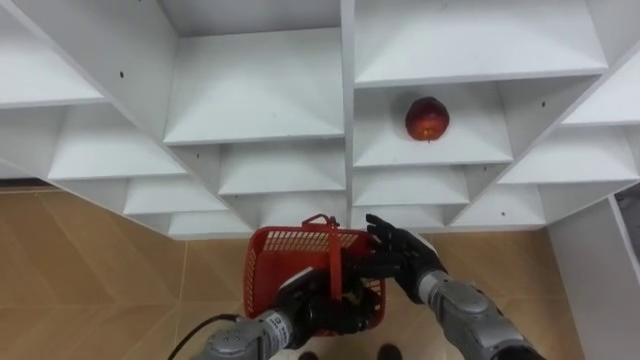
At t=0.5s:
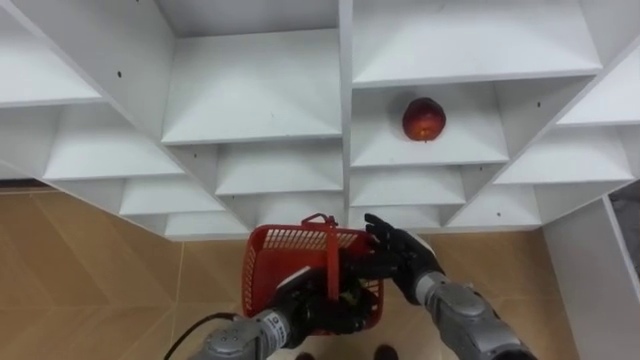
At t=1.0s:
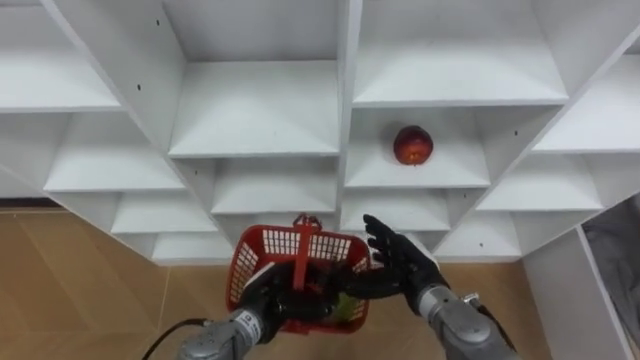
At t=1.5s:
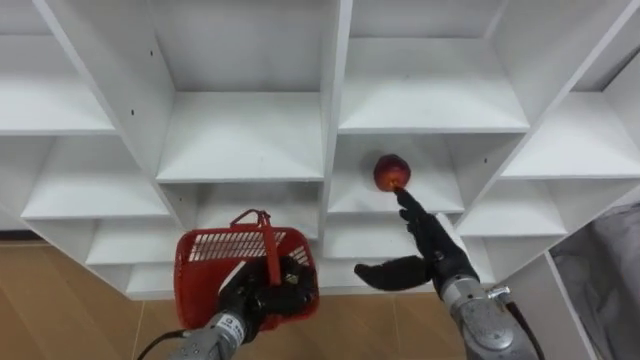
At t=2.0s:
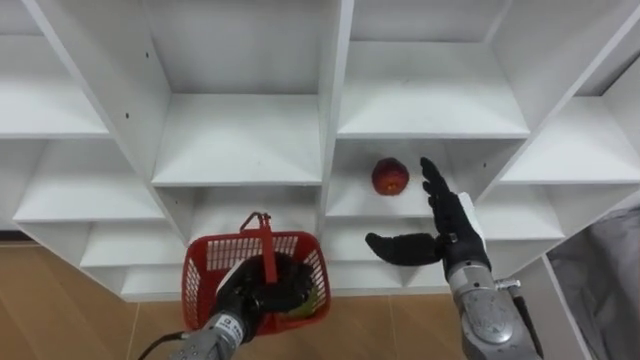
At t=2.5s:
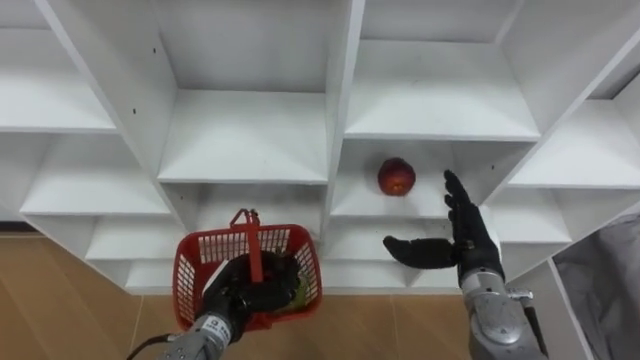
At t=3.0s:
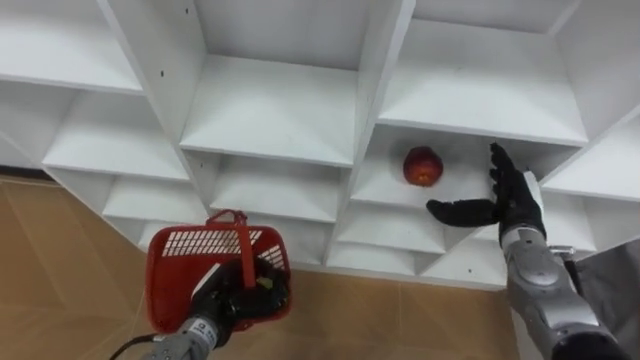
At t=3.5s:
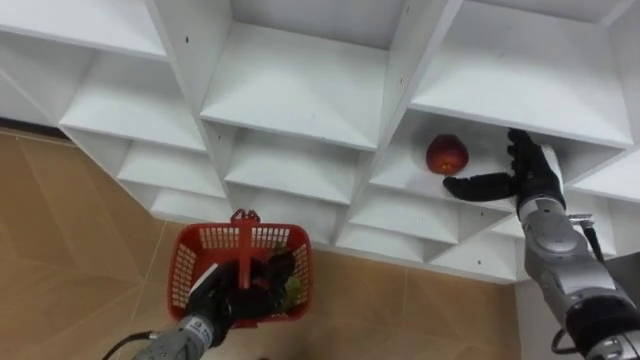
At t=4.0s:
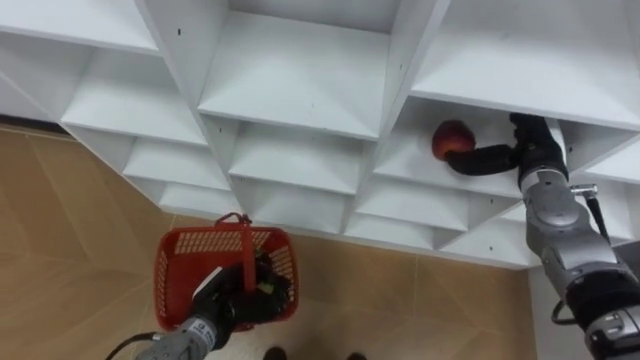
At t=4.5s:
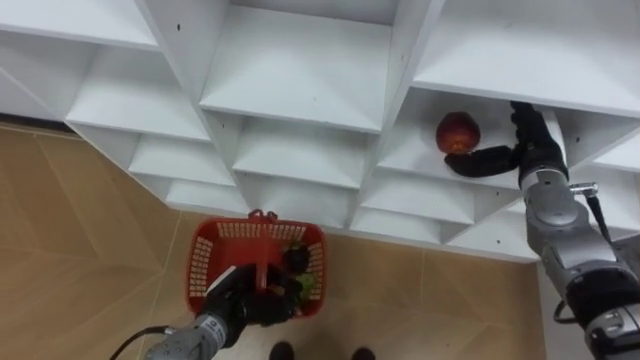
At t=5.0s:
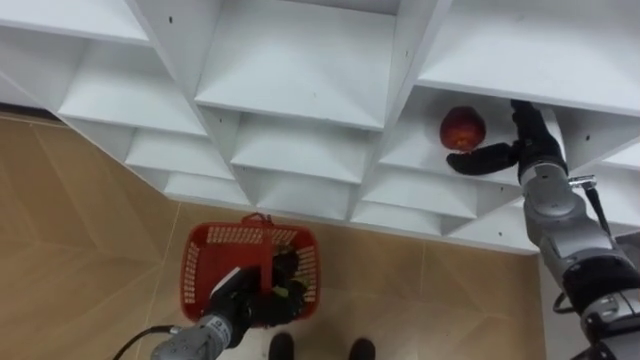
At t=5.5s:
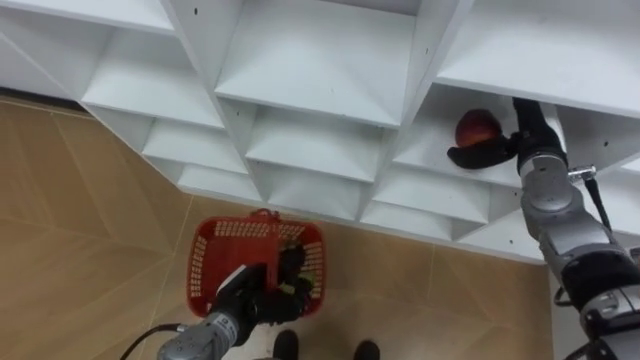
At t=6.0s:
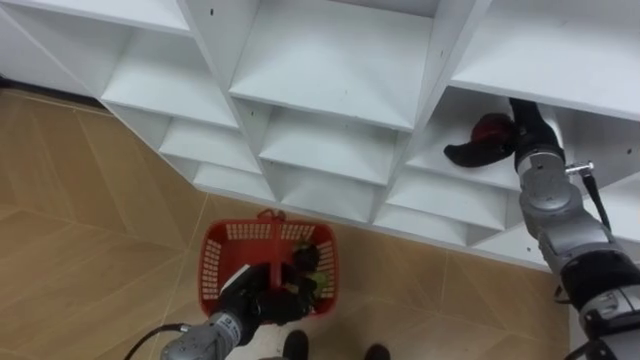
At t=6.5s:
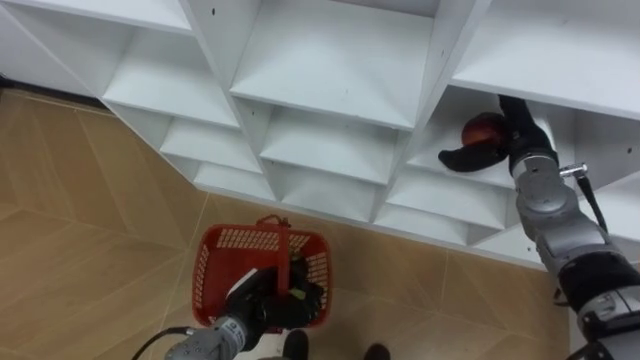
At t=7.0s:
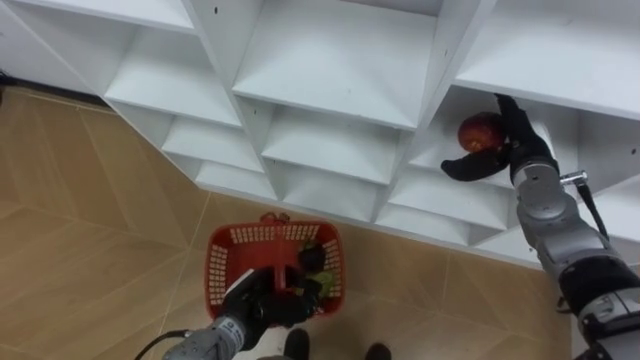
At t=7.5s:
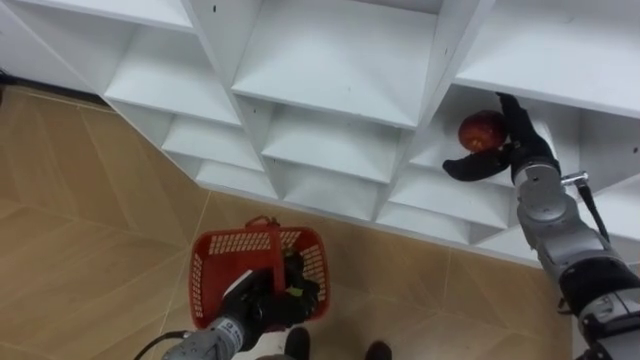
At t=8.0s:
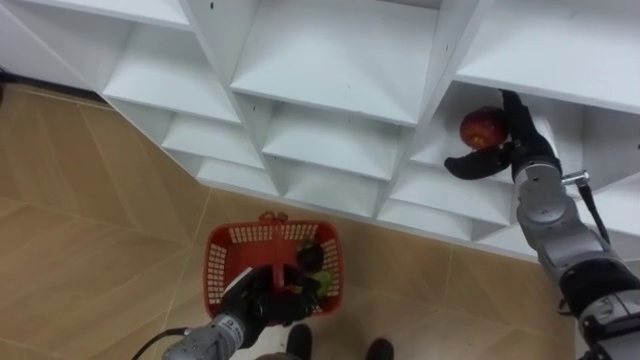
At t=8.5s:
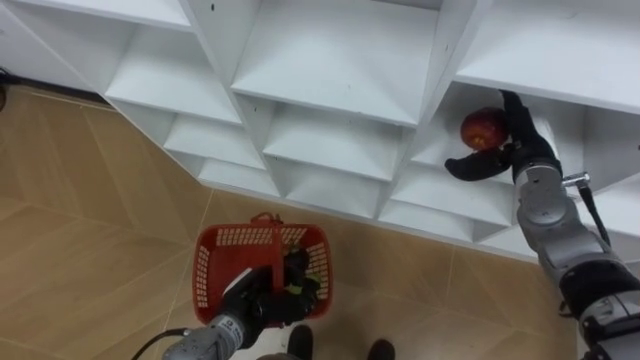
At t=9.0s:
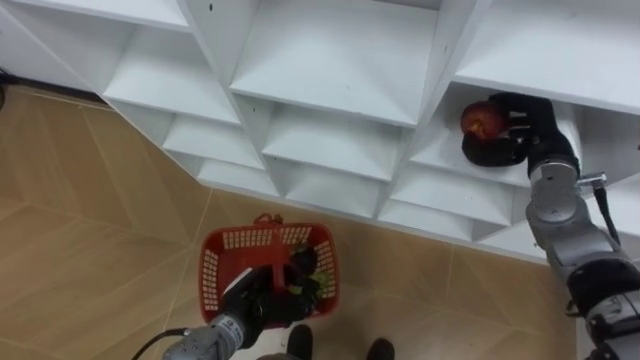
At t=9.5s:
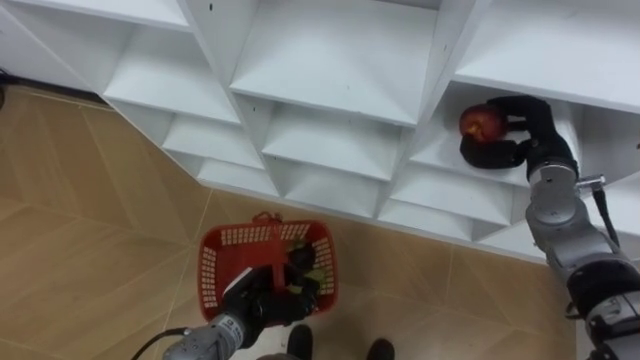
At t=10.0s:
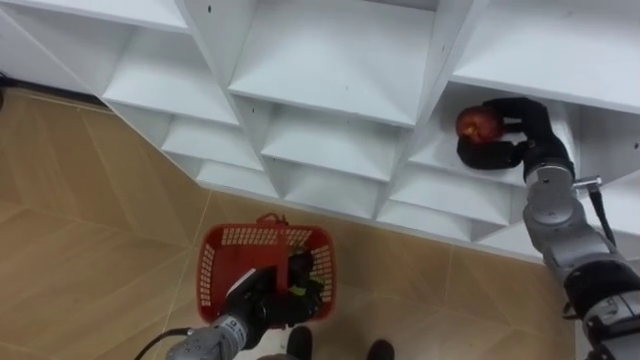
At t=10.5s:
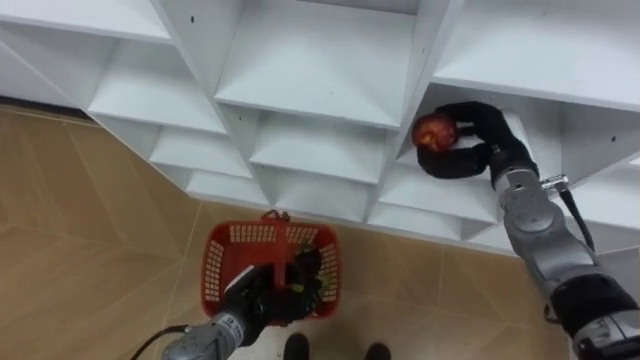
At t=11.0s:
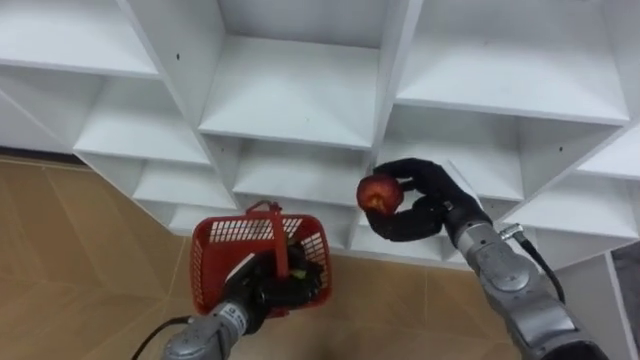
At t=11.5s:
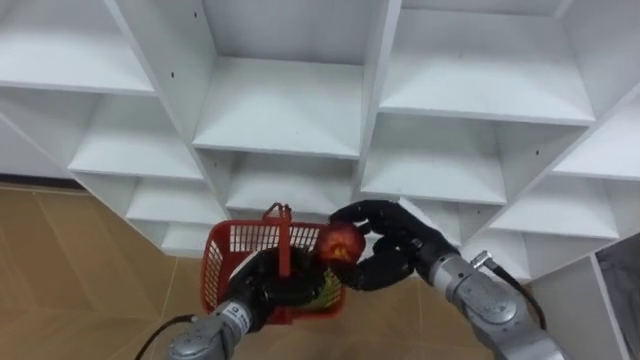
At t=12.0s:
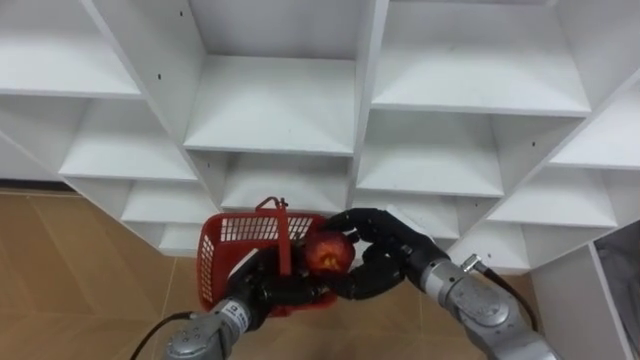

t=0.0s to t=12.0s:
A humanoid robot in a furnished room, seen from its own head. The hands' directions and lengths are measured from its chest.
Task of the whole recording: Hold the basket and collect the fruits from 3 different cells of the closet into it.
t=0.0s to t=2.0s: The right hand heads upward and to the right, covering about 10 cm. Meanwhile the left hand is displaced to the left by approximately 10 cm.
t=2.0s to t=4.0s: The right hand goes approximately 15 cm to the right, forward and upward.
t=8.0s to t=10.0s: The right hand closes.
t=10.0s to t=12.0s: The right hand travels to the left and backward by about 20 cm.

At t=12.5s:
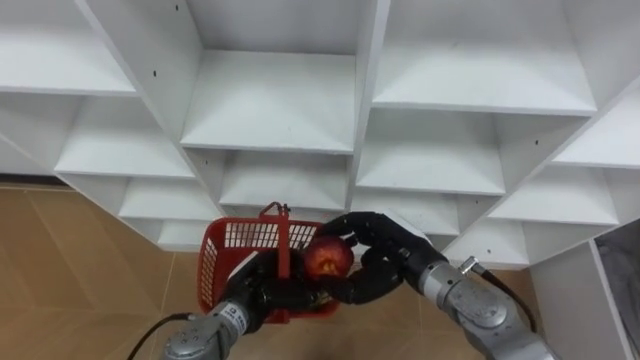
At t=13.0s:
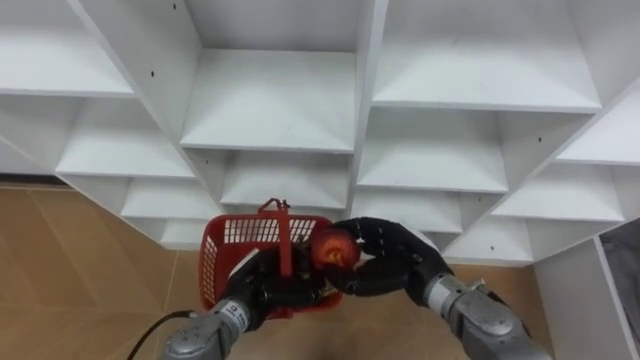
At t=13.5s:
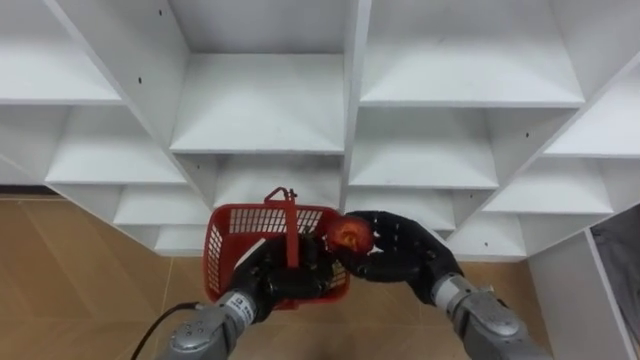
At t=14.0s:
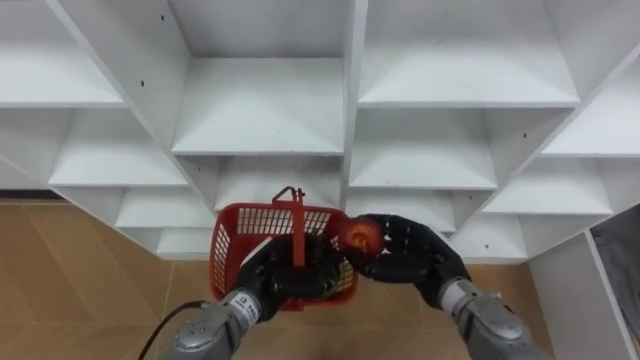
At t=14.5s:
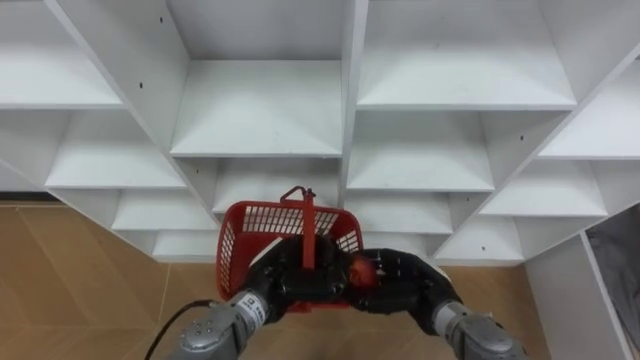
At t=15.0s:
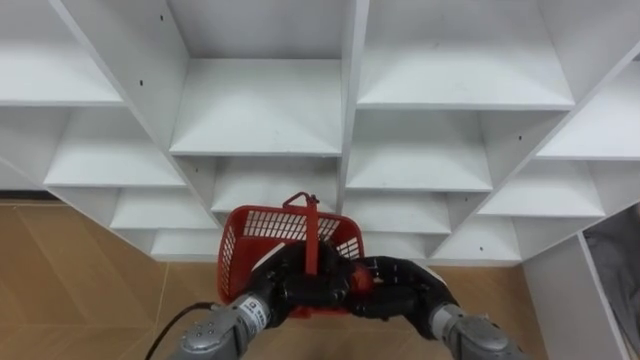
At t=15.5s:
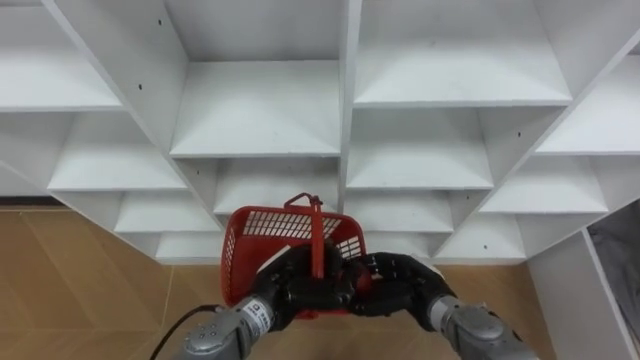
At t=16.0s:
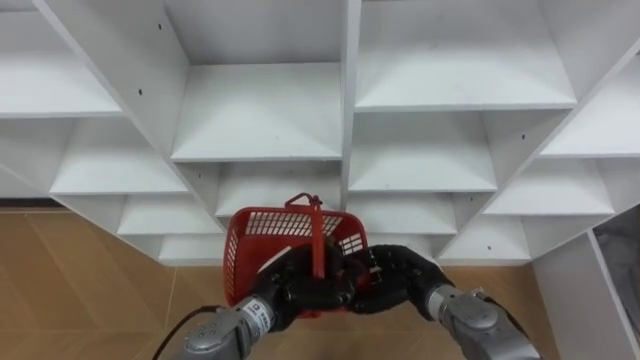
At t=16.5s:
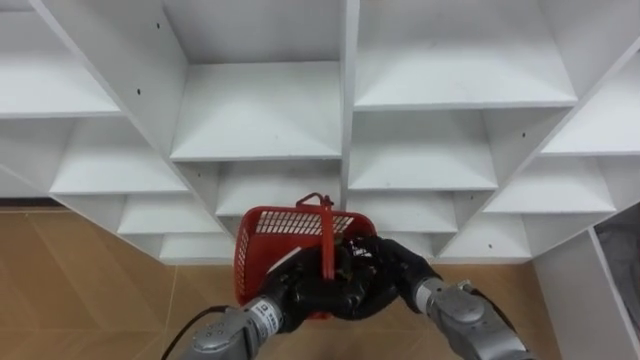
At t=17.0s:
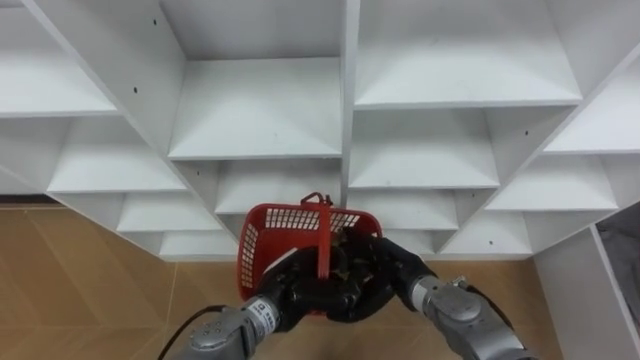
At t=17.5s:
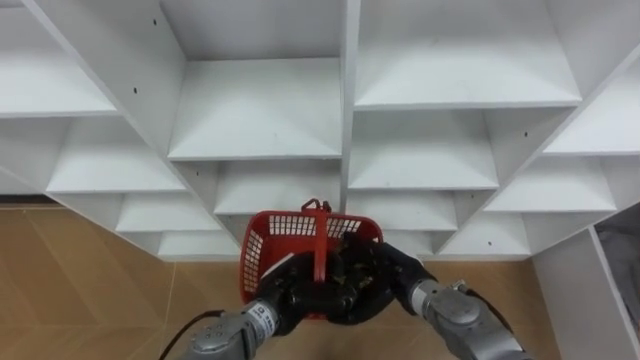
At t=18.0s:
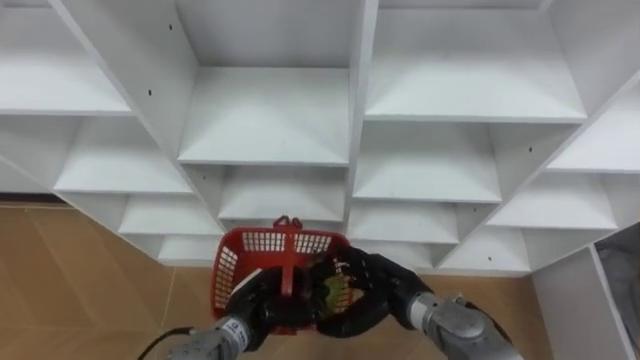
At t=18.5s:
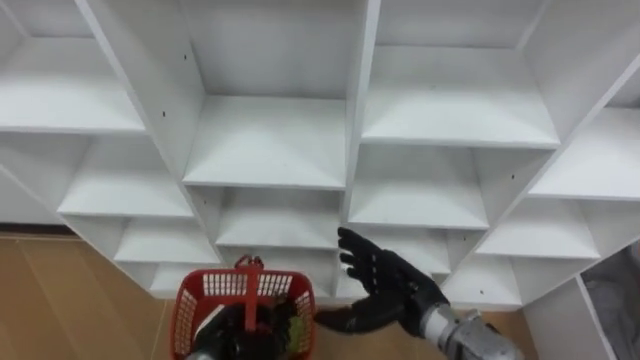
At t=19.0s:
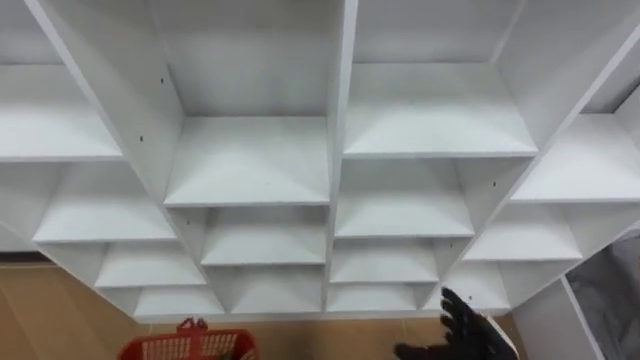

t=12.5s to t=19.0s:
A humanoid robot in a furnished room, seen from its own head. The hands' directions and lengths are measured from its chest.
Task of the whole recording: Hold the basket and collect the fruits from 3 different cells of the closet into it.
t=12.5s to t=14.5s: The right hand goes approximately 5 cm downward.
t=14.5s to t=17.0s: The right hand opens.
t=17.0s to t=19.0s: The right hand moves to the right and backward, some 15 cm.

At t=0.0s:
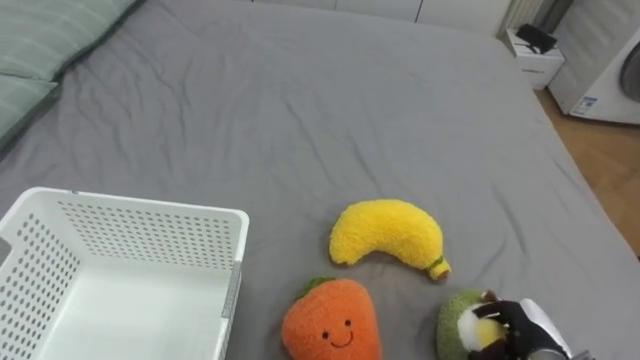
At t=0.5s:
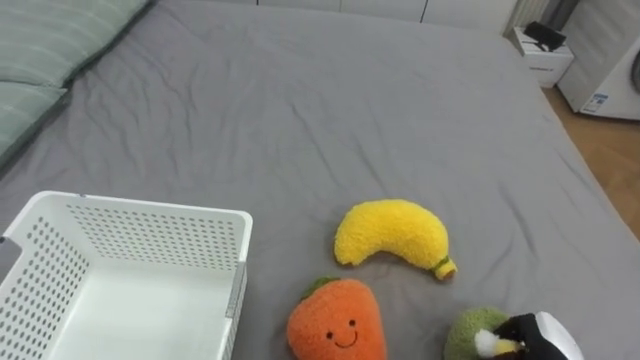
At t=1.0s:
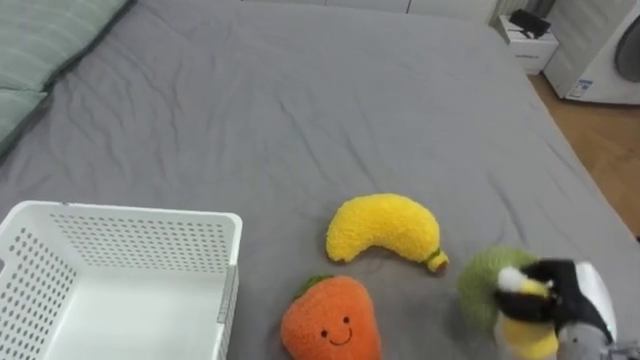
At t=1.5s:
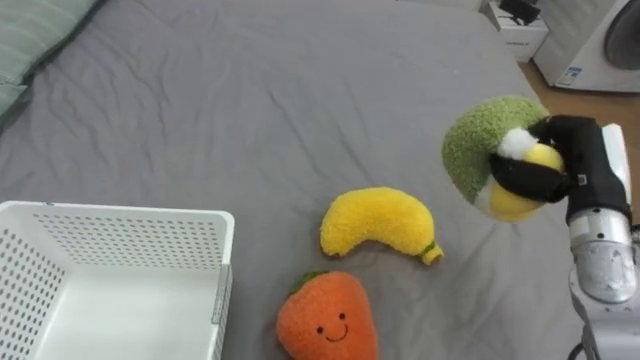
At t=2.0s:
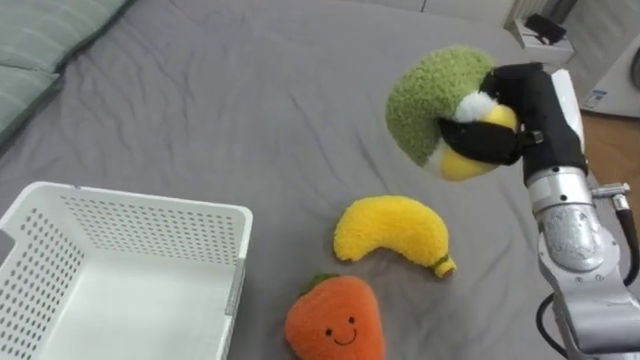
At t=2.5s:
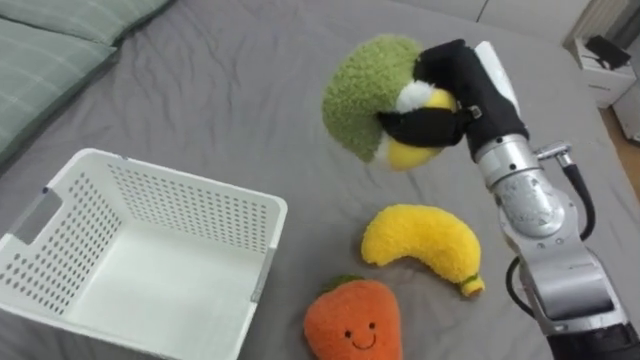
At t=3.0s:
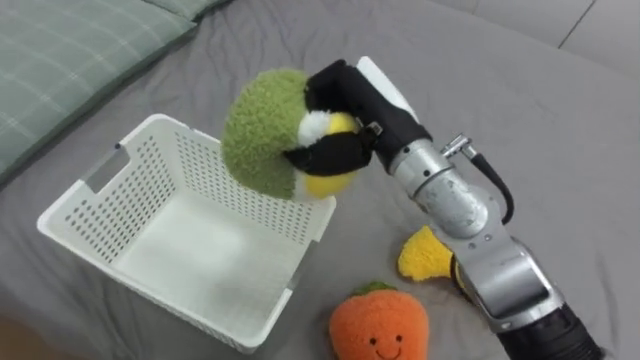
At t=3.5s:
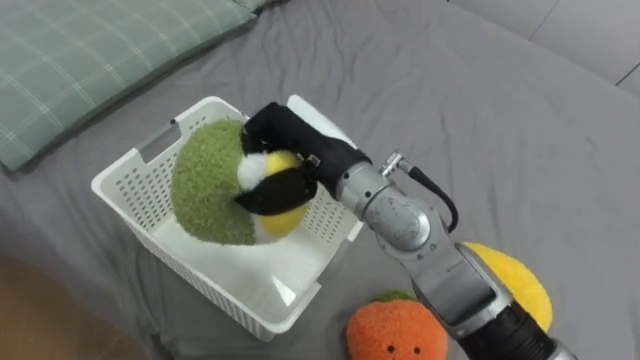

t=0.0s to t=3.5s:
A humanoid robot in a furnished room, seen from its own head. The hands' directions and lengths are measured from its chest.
Task of the whole recording: Put the toys on the bed into the basket on the left.
t=0.0s to t=2.0s: The right hand is displaced upward and forward by approximately 30 cm, and closes its fingers.
t=2.0s to t=3.5s: The right hand heads to the left, covering some 25 cm.
